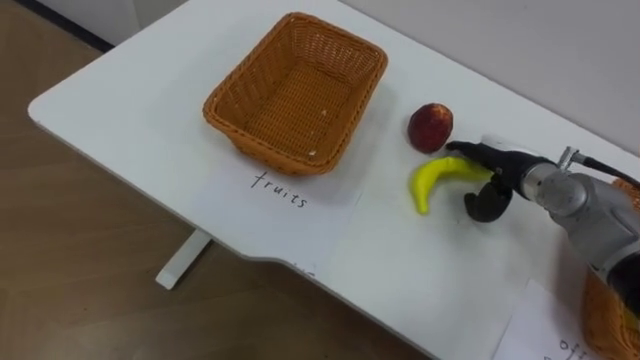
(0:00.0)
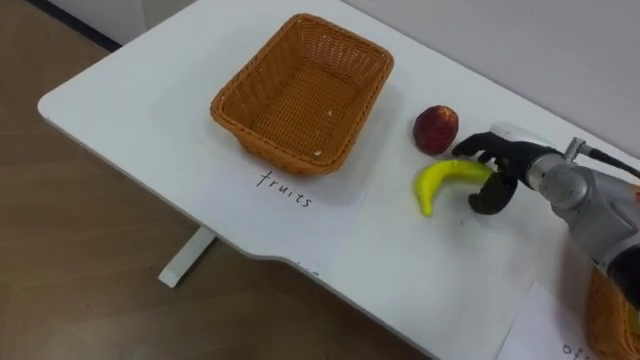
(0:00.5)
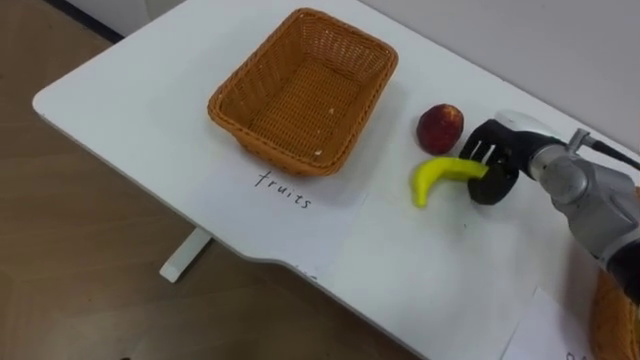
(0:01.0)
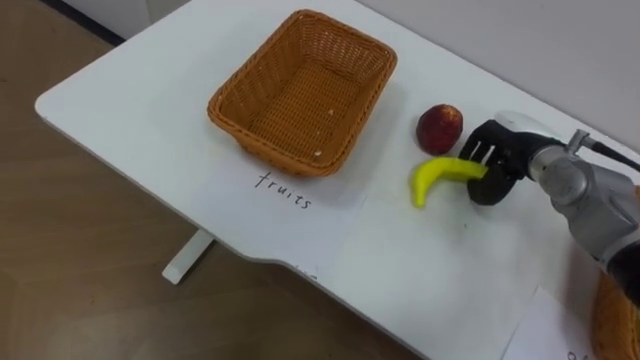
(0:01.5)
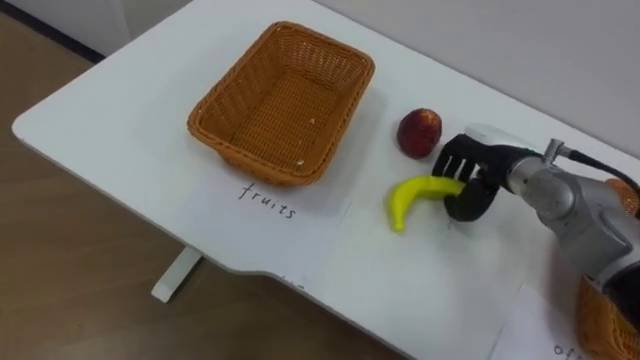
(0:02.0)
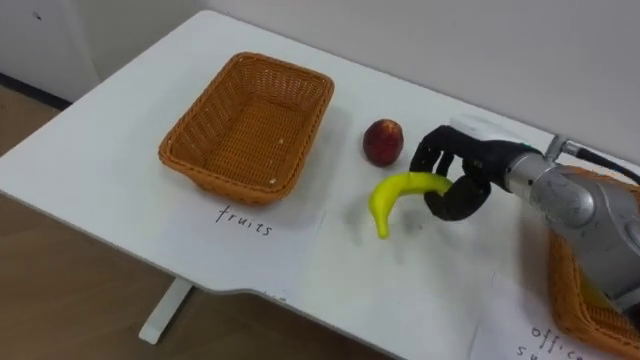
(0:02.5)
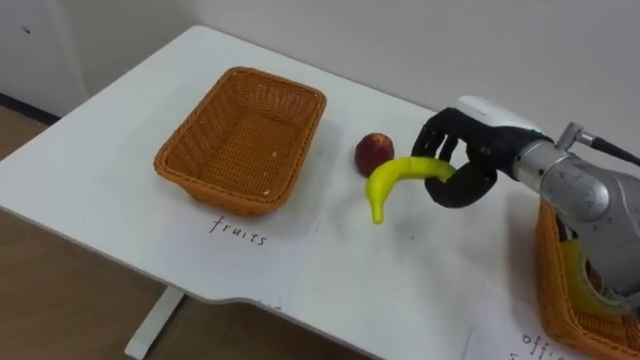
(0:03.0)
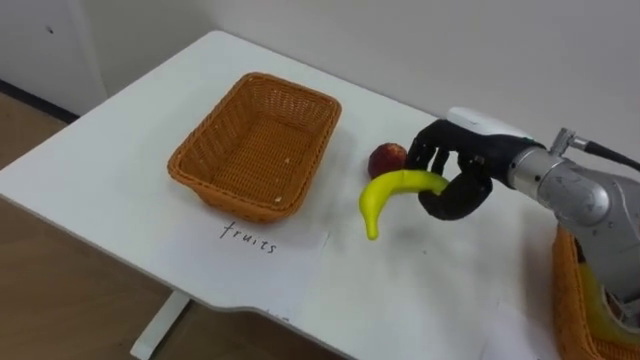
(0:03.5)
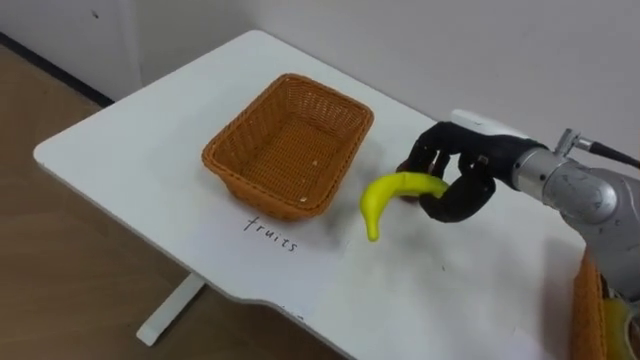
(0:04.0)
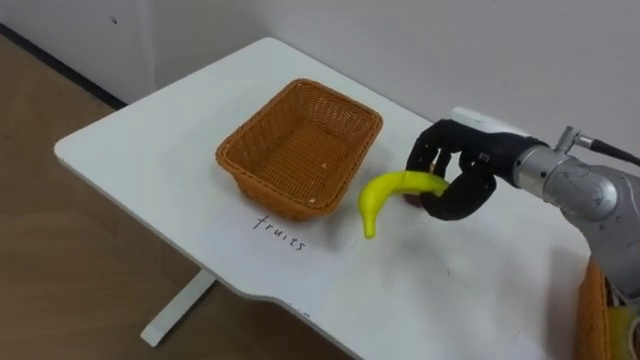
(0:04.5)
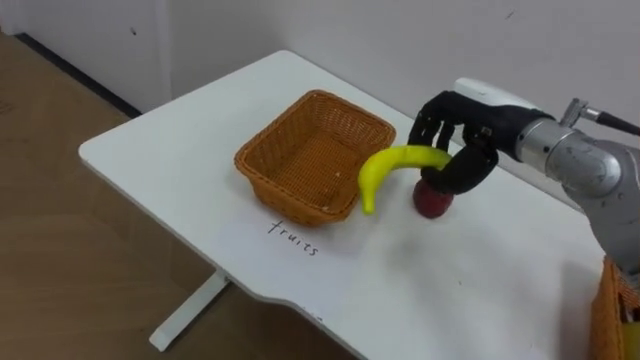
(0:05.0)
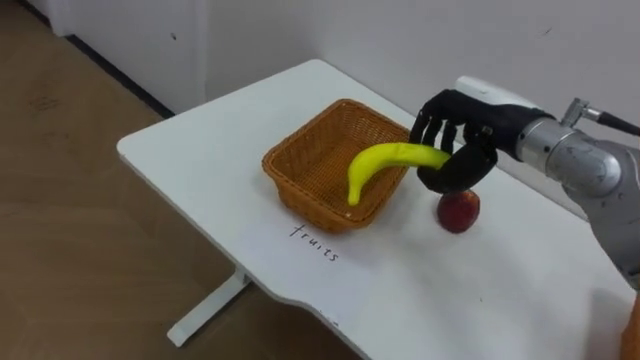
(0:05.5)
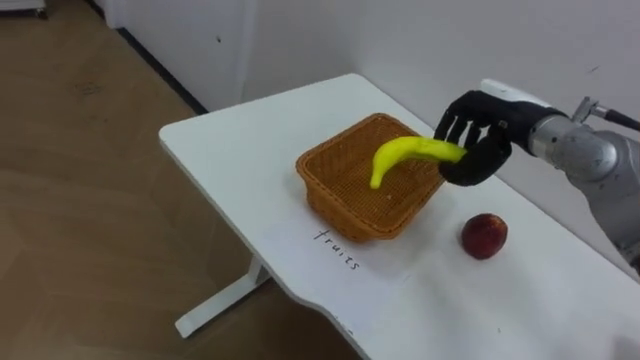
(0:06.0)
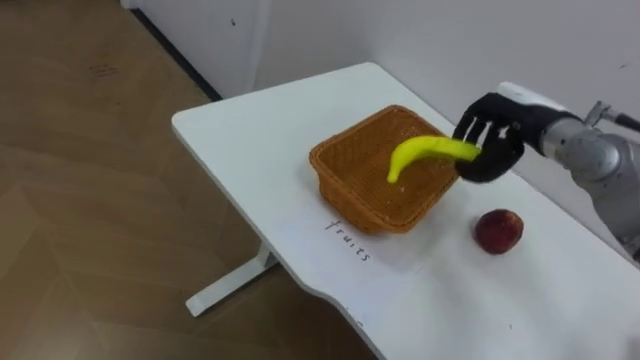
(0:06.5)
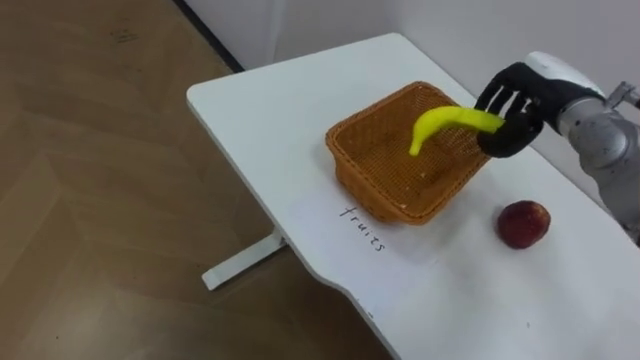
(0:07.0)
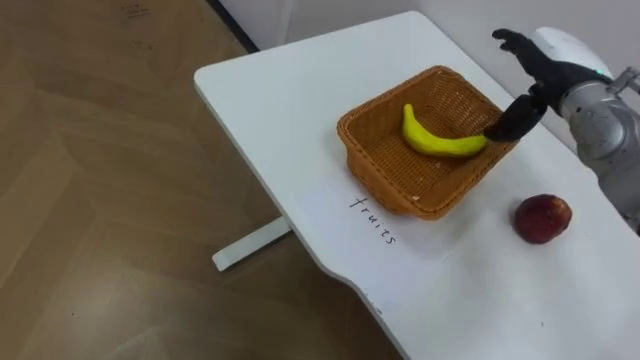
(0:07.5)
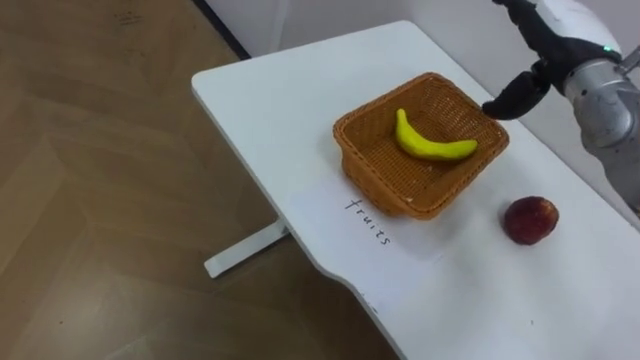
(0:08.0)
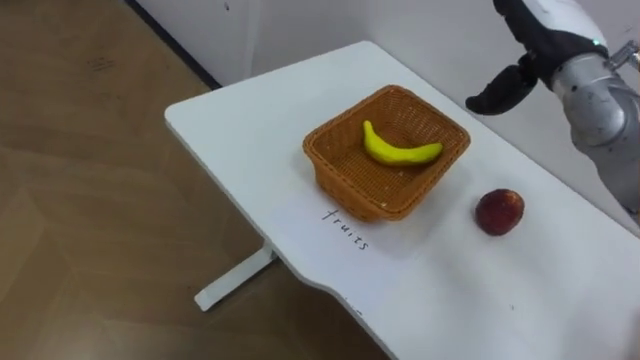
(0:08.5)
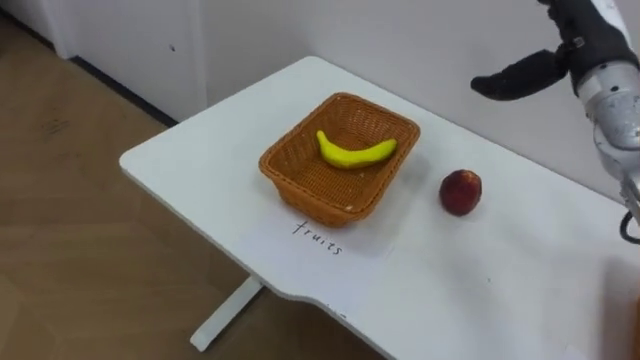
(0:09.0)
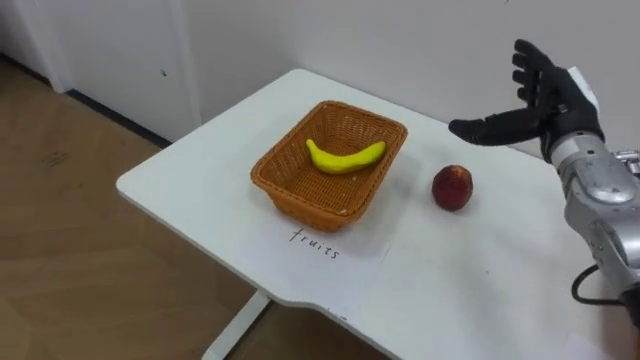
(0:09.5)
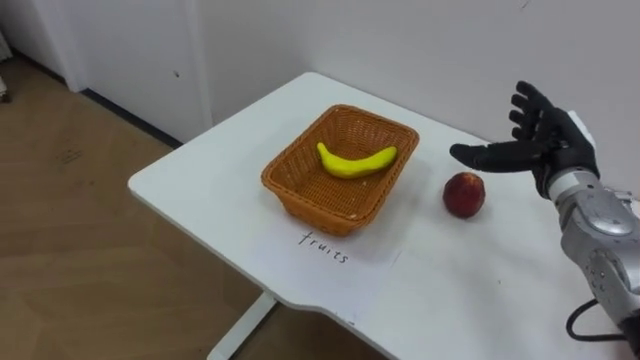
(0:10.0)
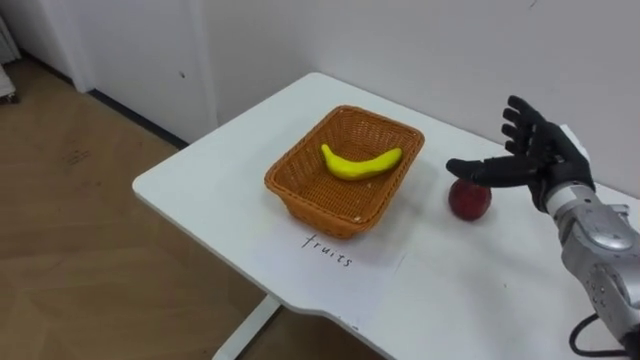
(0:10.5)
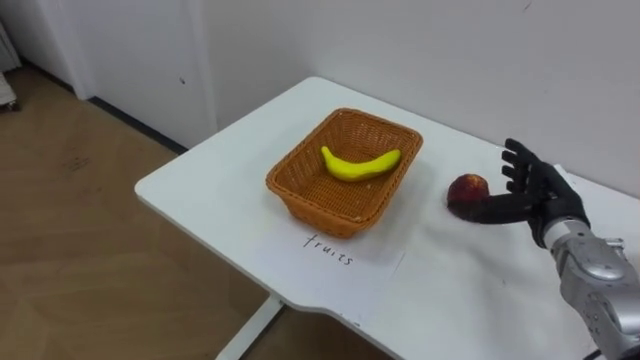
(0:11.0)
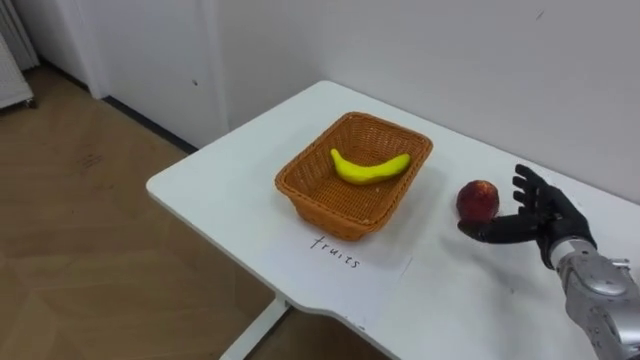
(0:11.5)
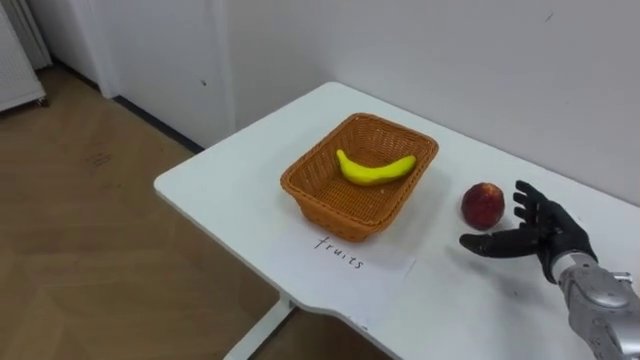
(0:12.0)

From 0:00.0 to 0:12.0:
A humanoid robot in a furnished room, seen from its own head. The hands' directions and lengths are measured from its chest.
Task of the whole recording: Separate the items on the table and place them into the two baskets.
From 0:00.0 to 0:02.0: The right hand closes.
From 0:02.0 to 0:04.0: The right hand travels upward by roughly 5 cm.
From 0:04.0 to 0:06.0: The right hand ends up about 5 cm from where it was.
From 0:06.0 to 0:08.0: The right hand moves upward, some 5 cm, and opens.
From 0:08.0 to 0:10.0: The right hand travels downward and backward by some 10 cm.
From 0:10.0 to 0:12.0: The right hand heads downward and backward, covering some 10 cm.

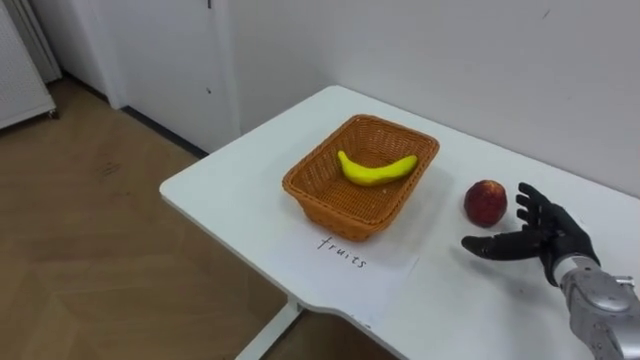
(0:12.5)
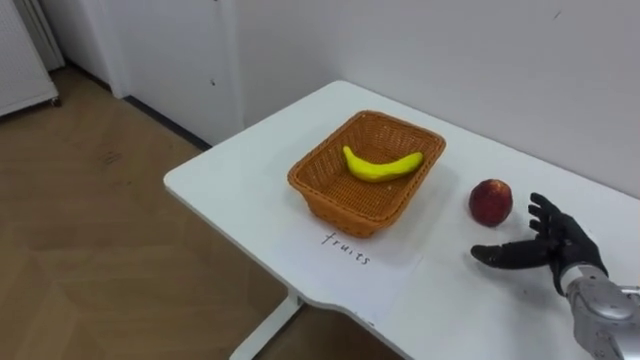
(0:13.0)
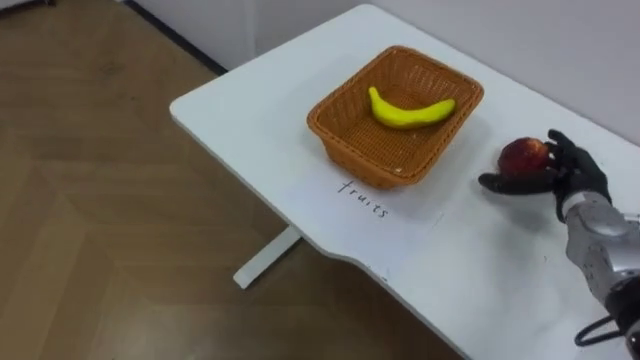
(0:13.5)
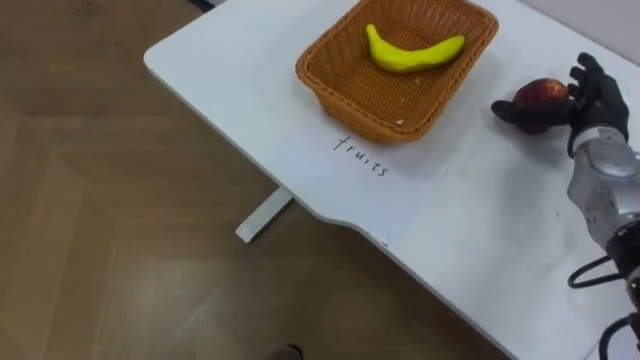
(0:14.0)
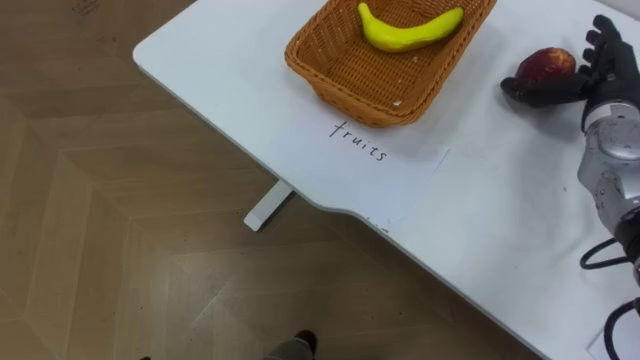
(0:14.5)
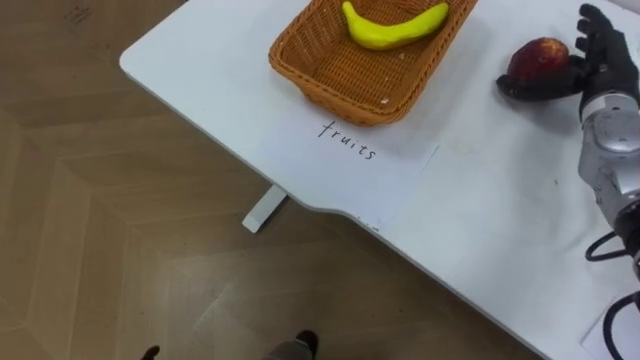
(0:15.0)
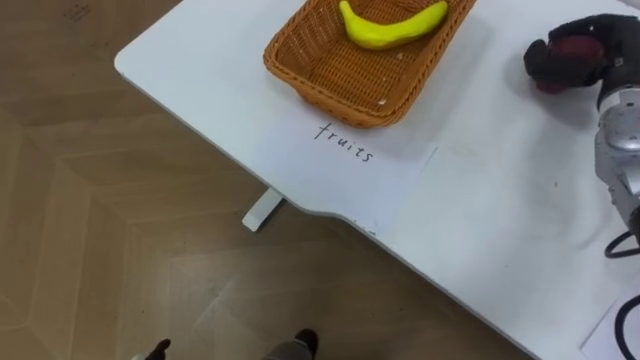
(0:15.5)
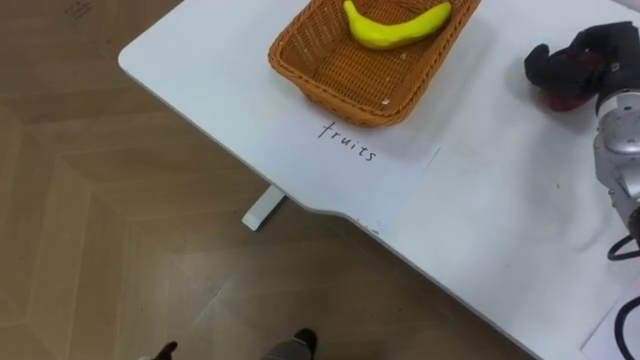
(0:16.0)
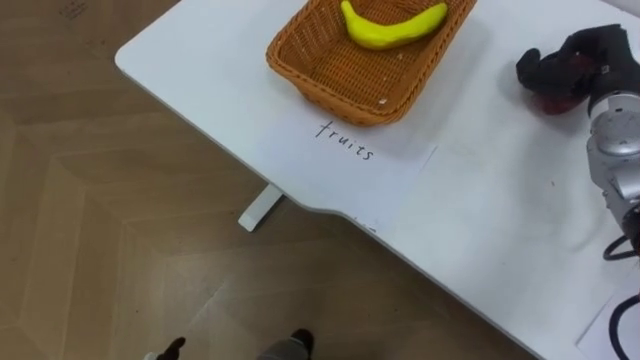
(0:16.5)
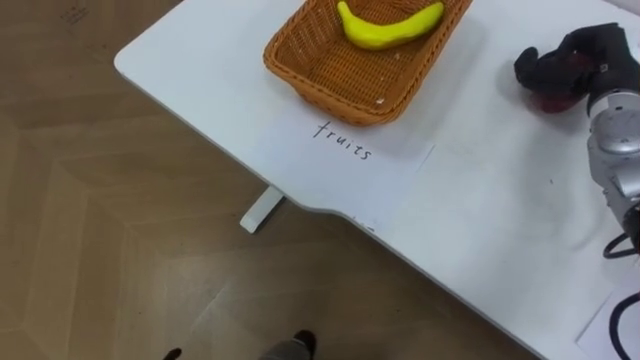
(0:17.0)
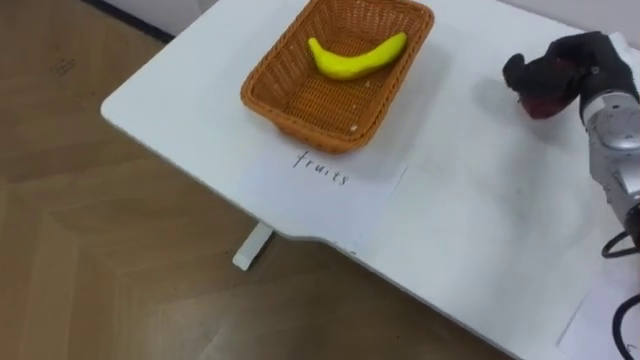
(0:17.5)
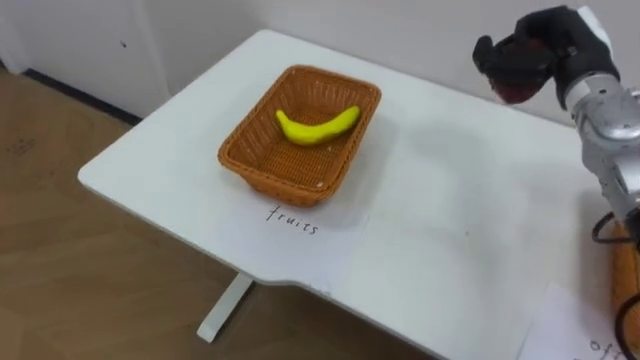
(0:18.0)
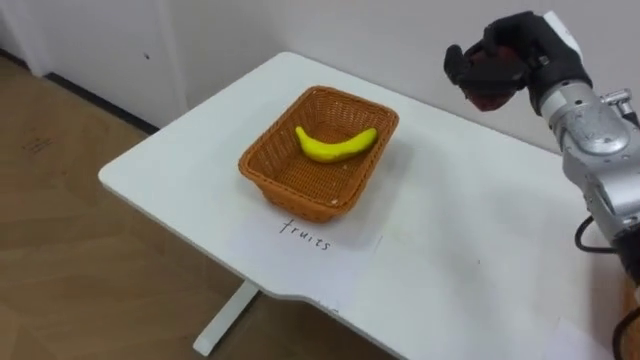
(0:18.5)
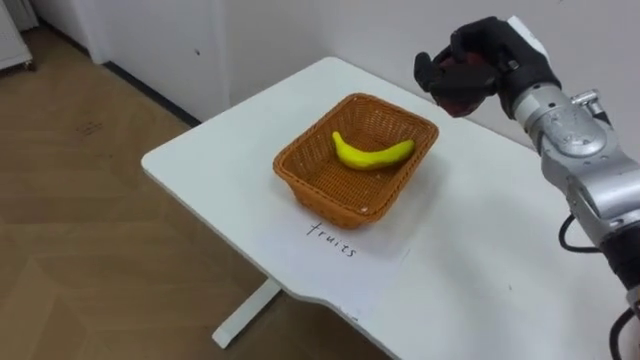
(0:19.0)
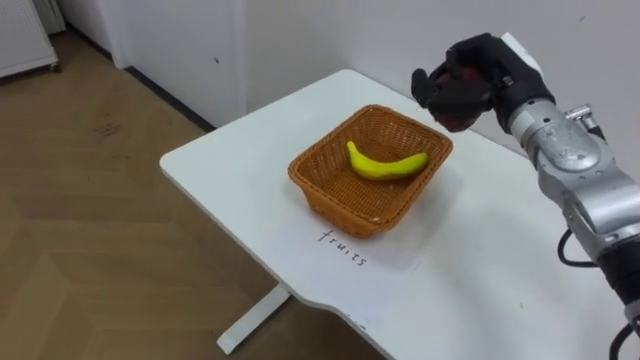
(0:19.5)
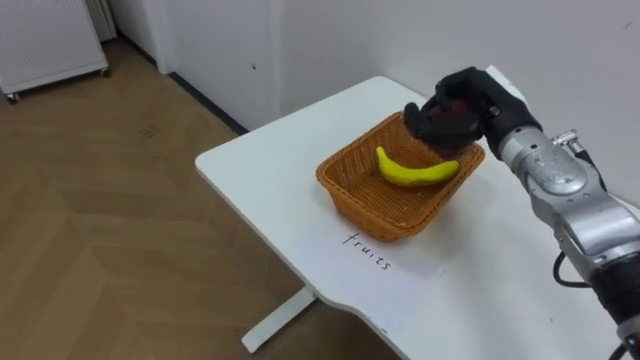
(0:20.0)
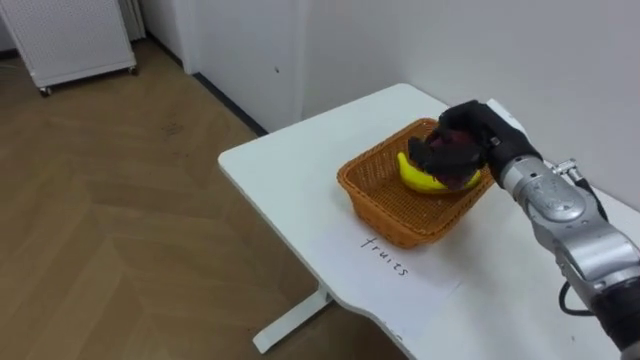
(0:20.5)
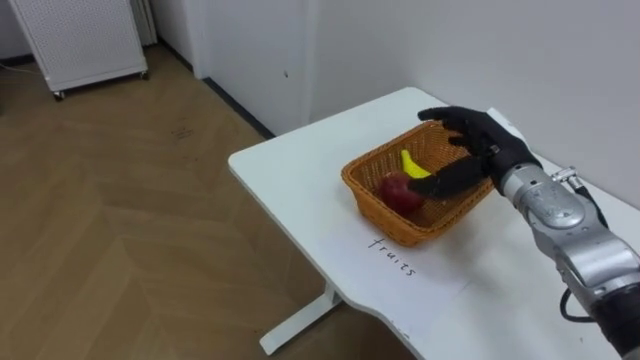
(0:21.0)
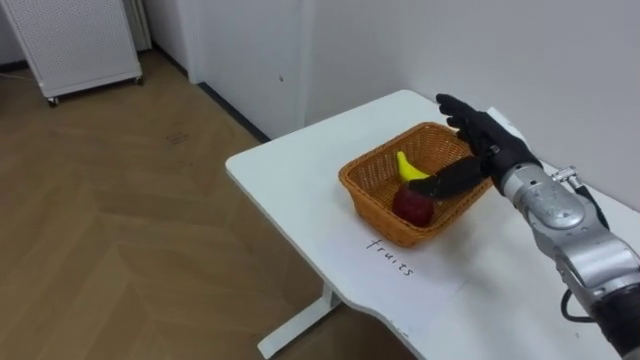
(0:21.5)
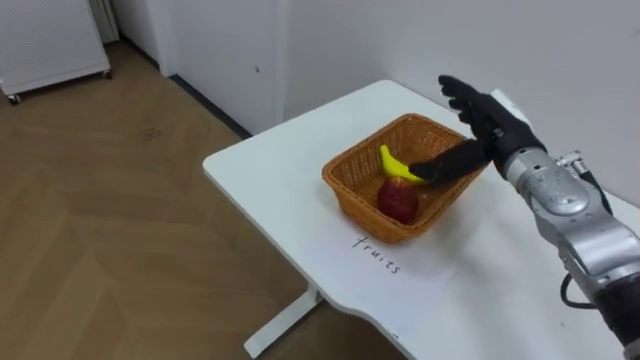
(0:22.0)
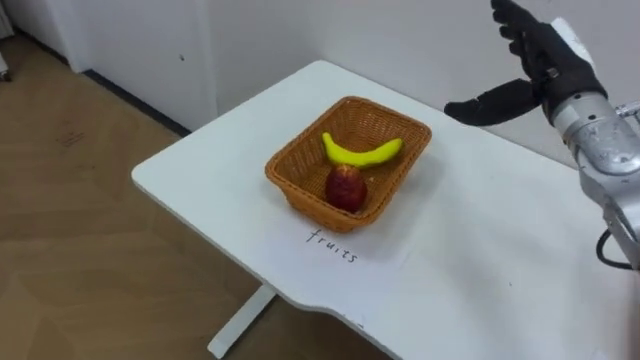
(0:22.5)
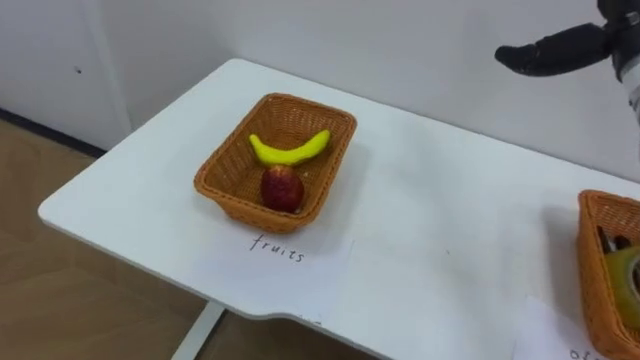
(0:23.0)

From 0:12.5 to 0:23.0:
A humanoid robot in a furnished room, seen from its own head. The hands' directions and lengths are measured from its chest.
Task of the whole recording: Separate the items on the table and place them into the two baskets.
From 0:12.5 to 0:14.5: The right hand moves upward and forward, about 20 cm.
From 0:14.5 to 0:16.5: The right hand closes.
From 0:16.5 to 0:19.0: The right hand heads to the left, covering roughly 10 cm.
From 0:19.0 to 0:21.0: The right hand is displaced downward by approximately 10 cm, and opens up.
From 0:21.0 to 0:23.0: The right hand moves upward and to the right, roughly 20 cm.
